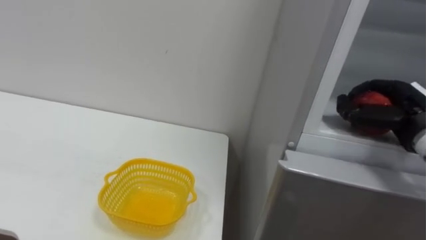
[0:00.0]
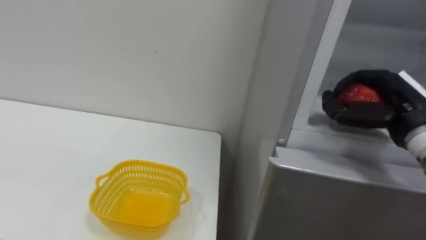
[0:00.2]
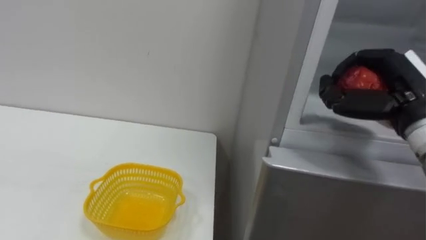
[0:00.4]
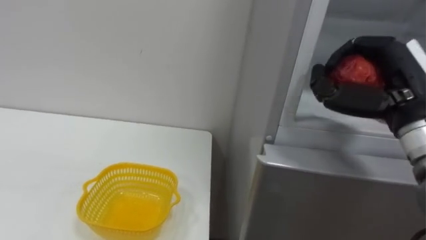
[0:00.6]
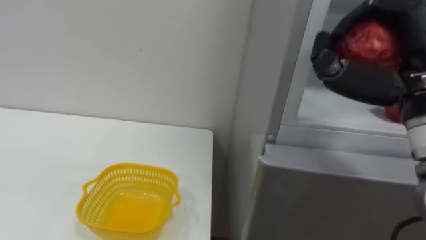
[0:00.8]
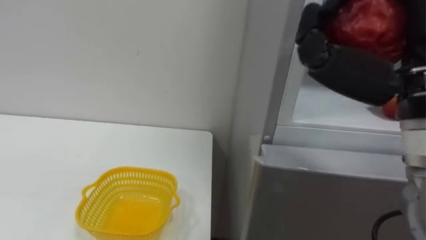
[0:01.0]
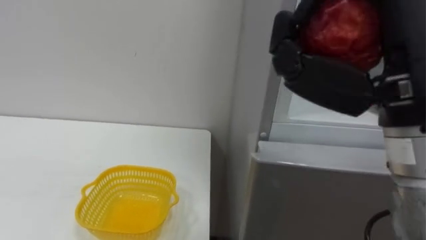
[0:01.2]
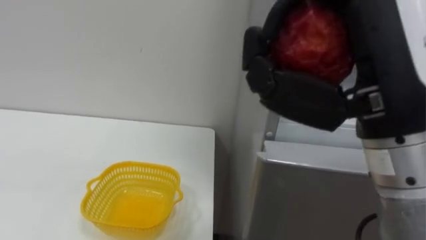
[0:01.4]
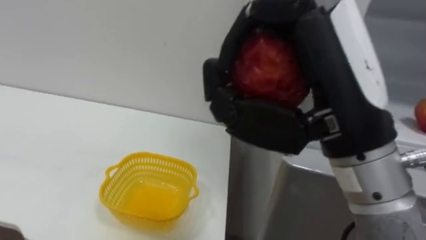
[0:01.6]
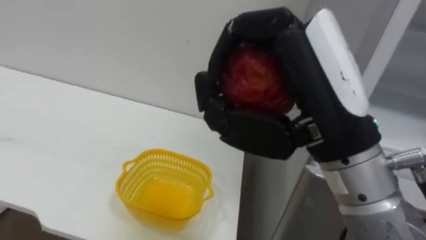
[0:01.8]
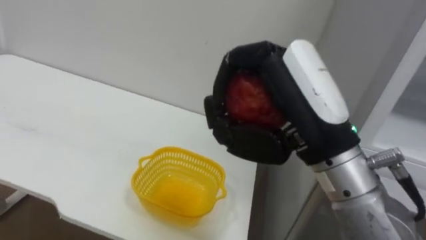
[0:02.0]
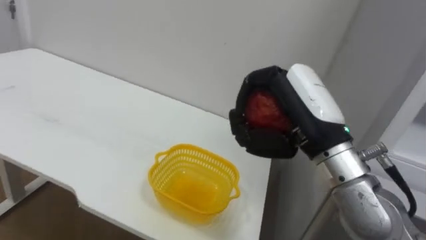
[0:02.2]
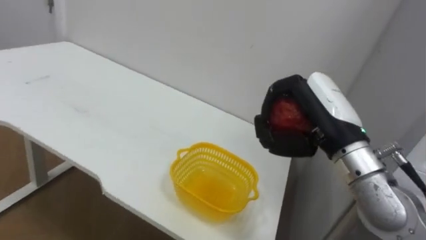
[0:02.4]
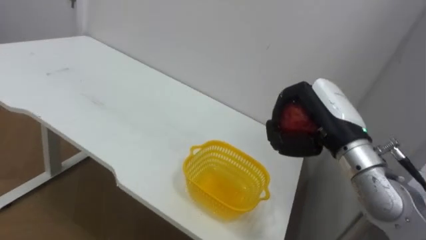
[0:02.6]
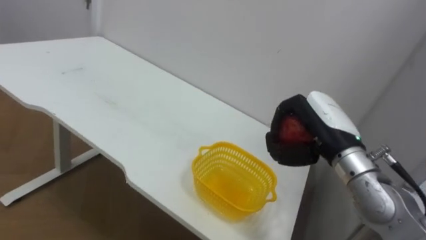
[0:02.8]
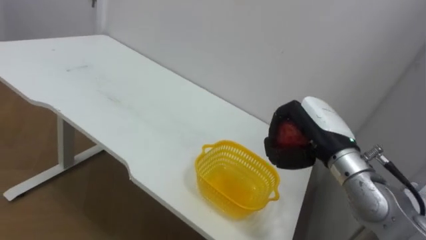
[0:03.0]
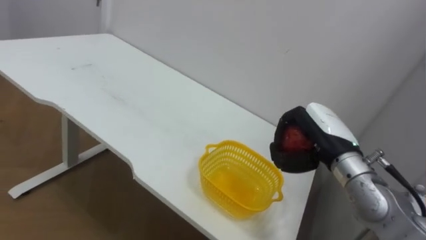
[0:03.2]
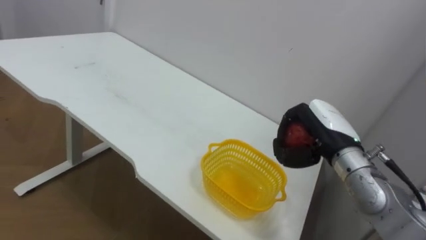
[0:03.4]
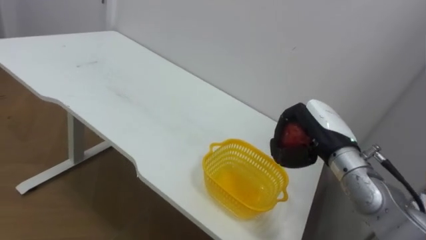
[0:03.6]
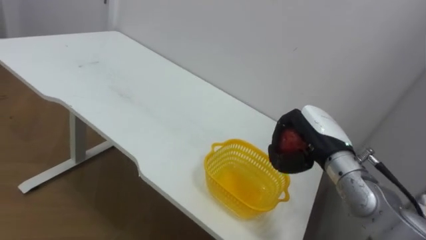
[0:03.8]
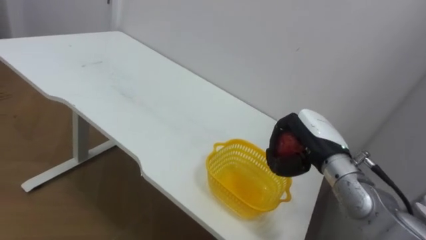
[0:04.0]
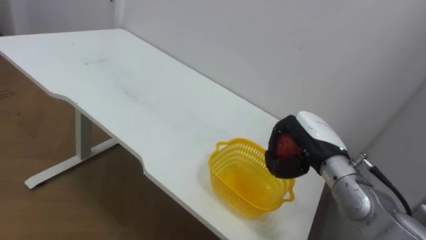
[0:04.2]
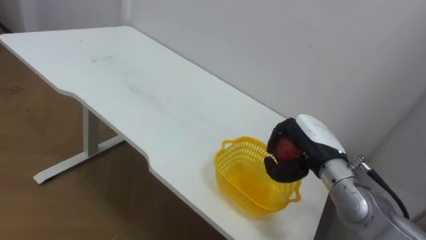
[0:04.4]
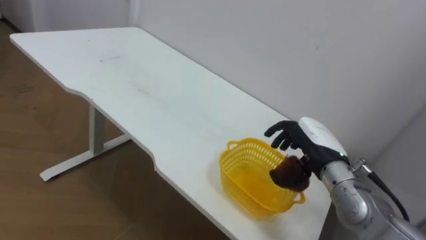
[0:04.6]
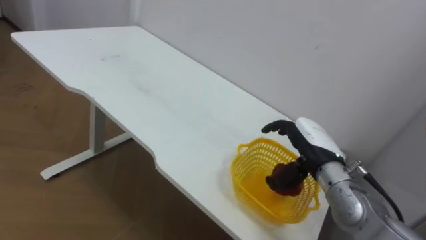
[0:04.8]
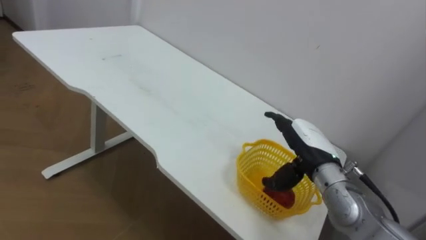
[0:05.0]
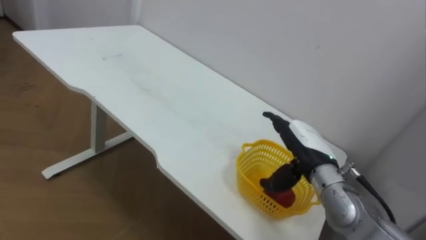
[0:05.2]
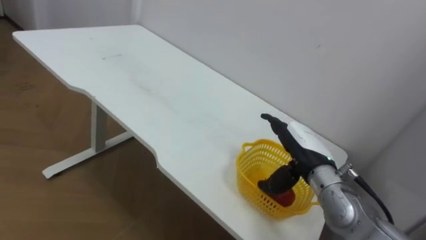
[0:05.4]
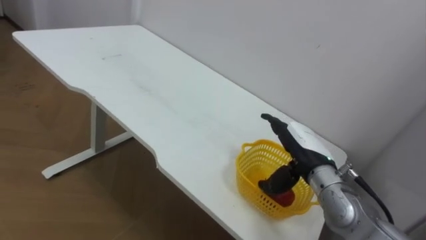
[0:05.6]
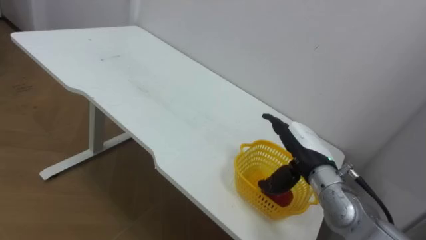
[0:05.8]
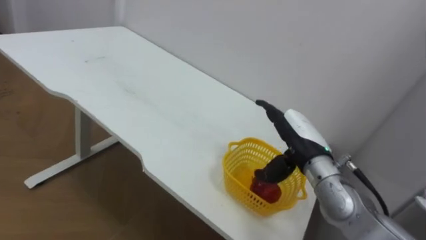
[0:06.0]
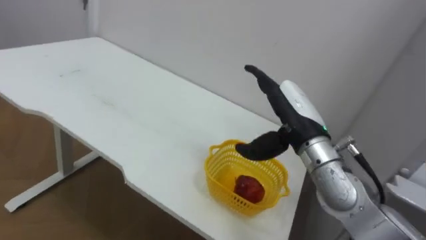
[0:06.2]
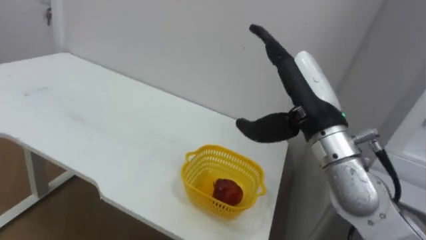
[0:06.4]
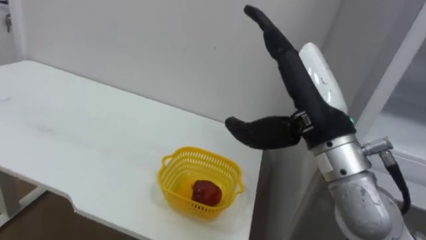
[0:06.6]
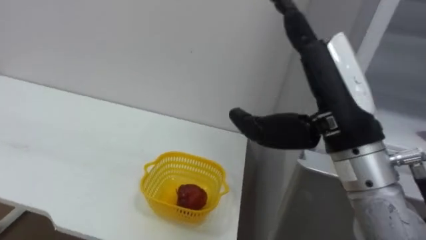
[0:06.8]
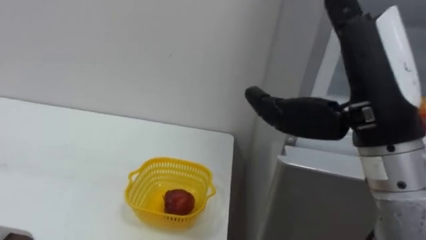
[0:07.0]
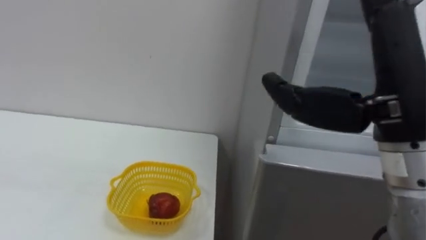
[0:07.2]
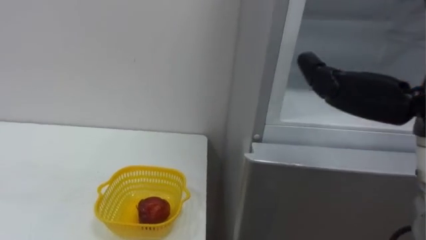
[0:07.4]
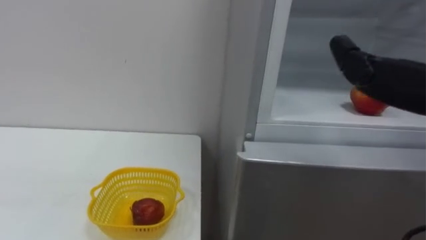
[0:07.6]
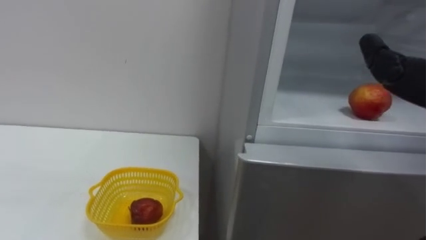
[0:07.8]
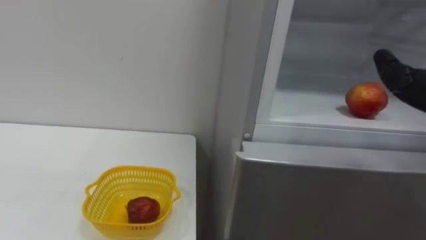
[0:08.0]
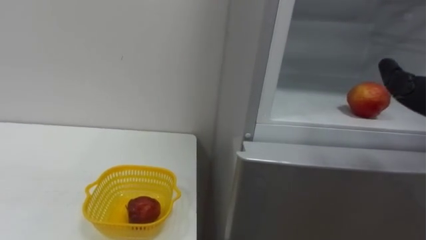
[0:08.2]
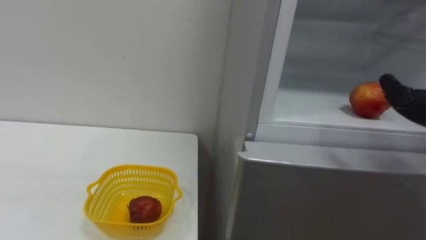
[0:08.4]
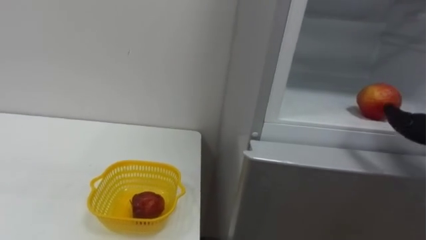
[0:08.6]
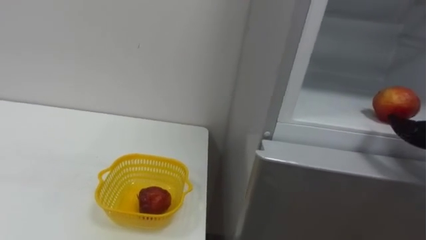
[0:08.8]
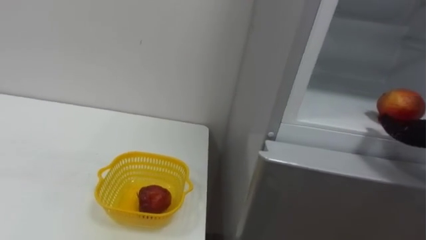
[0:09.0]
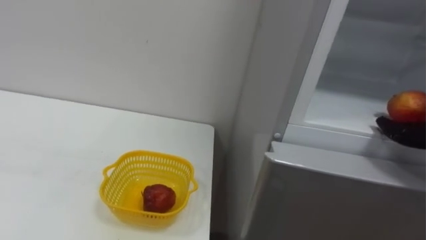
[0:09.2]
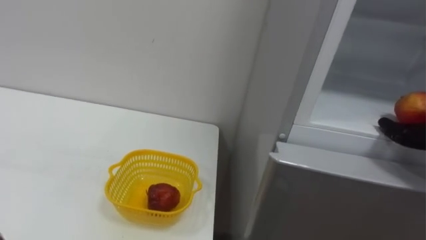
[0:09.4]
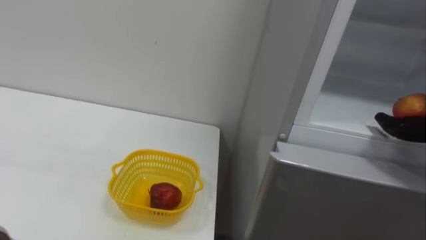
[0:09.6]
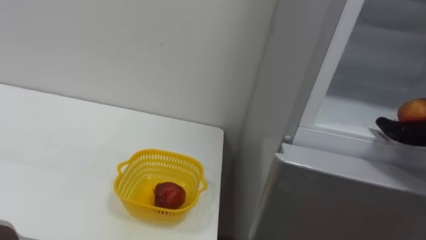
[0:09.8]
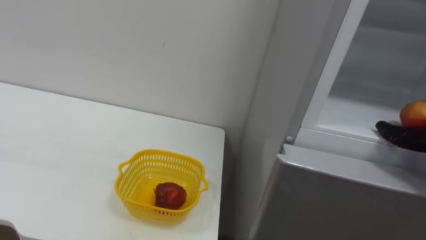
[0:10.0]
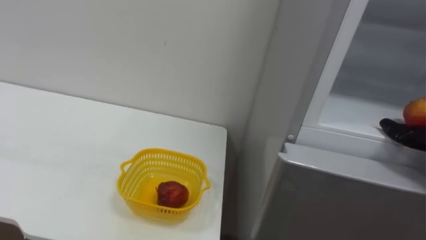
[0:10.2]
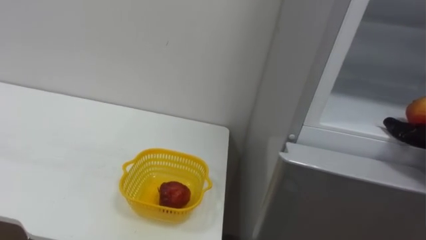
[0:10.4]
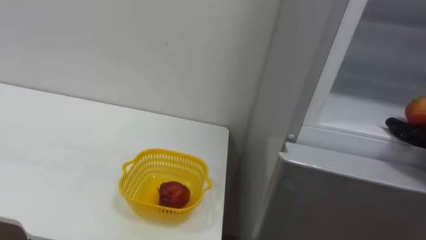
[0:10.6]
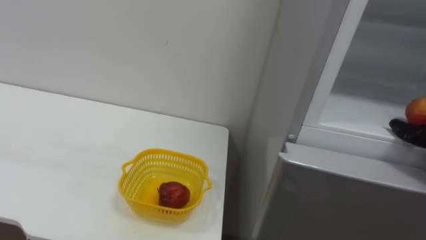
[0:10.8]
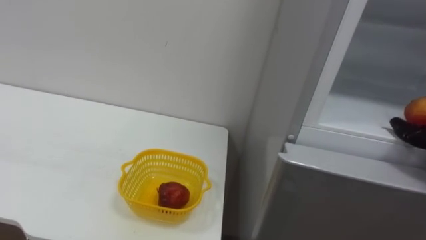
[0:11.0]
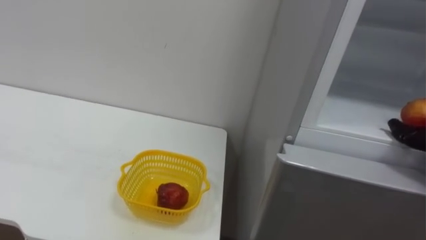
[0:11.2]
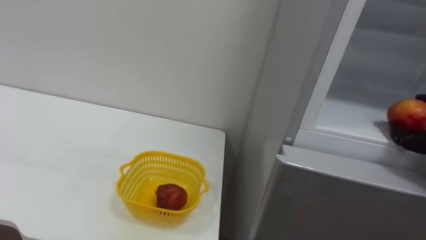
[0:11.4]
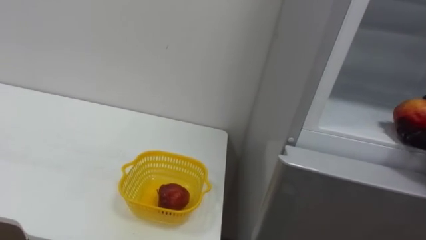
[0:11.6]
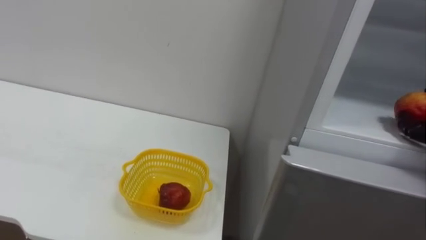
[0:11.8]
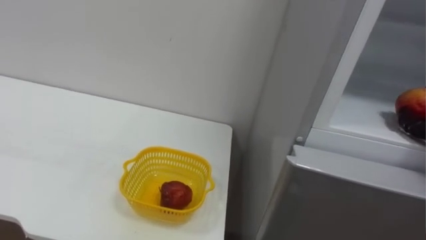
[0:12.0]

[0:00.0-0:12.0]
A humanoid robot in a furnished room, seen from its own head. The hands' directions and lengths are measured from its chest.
Task of the whole recording: Open the refrigerator door, take out the apple and the pomegranate, place them in the fruit basket on the left, and close the refrigerator door.
0:00.0 to 0:01.6: The right hand shifts roughly 30 cm to the left, backward and upward.
0:01.6 to 0:03.0: The right hand heads forward and downward, covering about 20 cm.
0:04.4 to 0:06.0: The right hand opens its fingers.

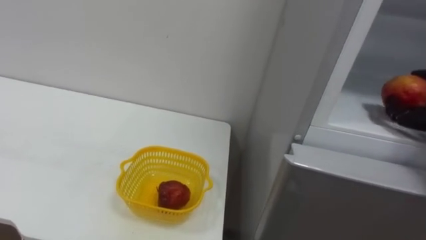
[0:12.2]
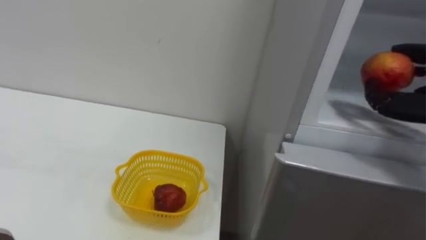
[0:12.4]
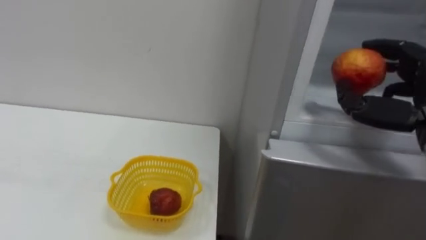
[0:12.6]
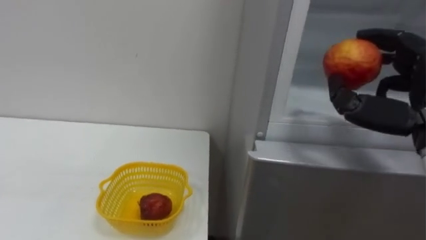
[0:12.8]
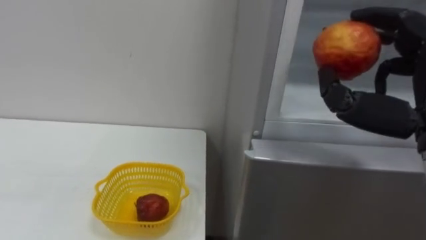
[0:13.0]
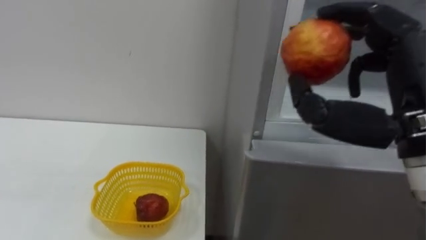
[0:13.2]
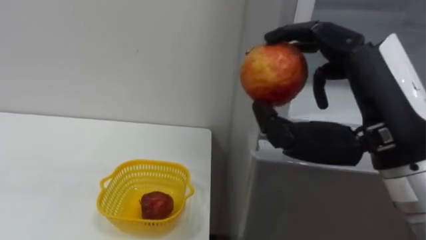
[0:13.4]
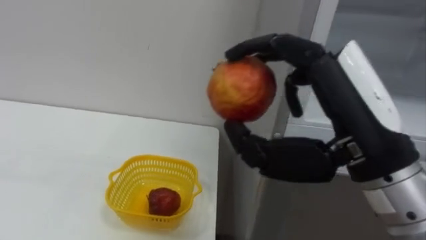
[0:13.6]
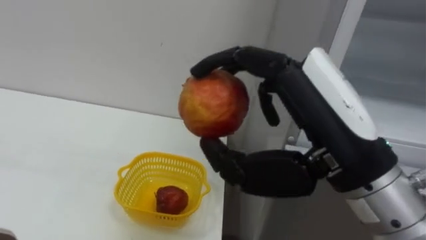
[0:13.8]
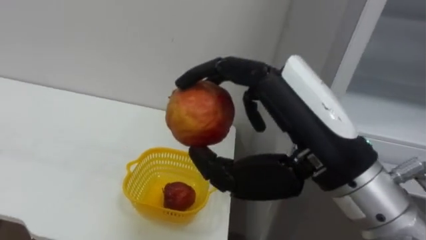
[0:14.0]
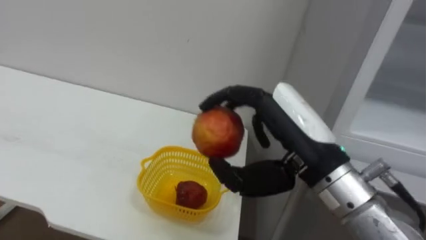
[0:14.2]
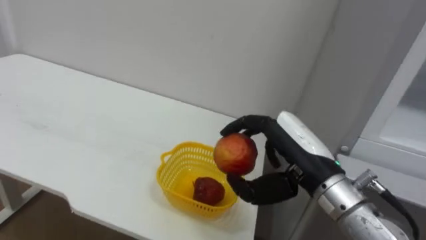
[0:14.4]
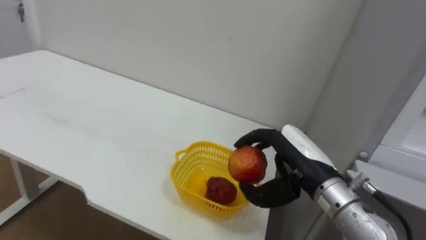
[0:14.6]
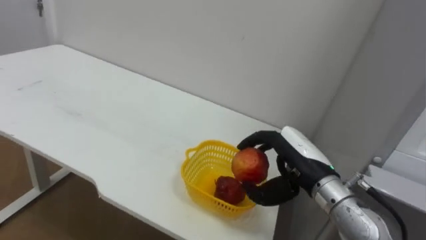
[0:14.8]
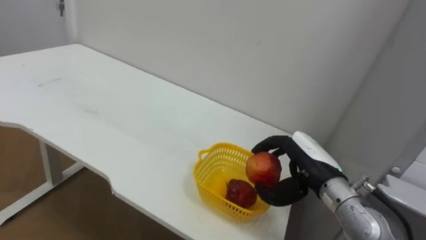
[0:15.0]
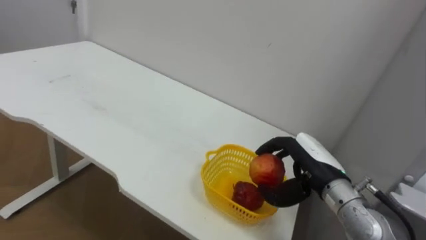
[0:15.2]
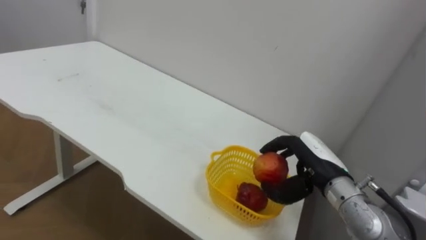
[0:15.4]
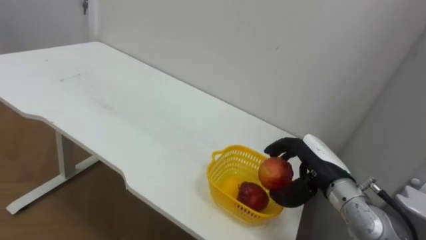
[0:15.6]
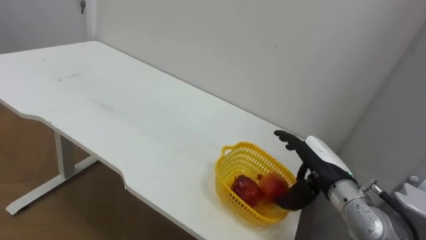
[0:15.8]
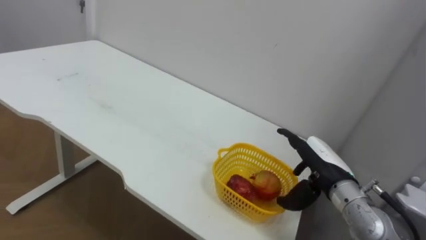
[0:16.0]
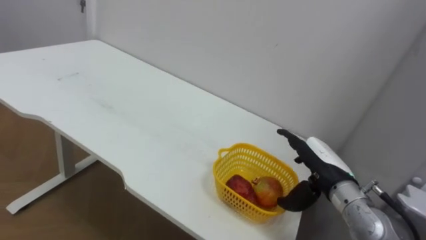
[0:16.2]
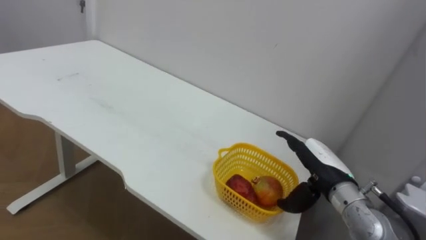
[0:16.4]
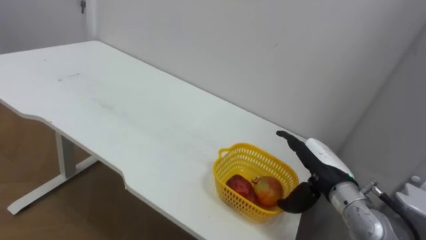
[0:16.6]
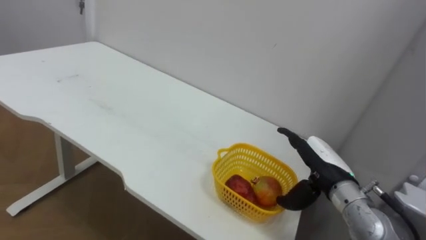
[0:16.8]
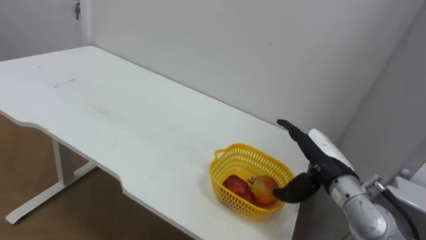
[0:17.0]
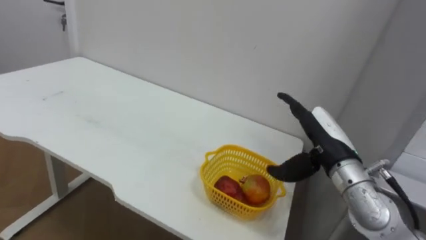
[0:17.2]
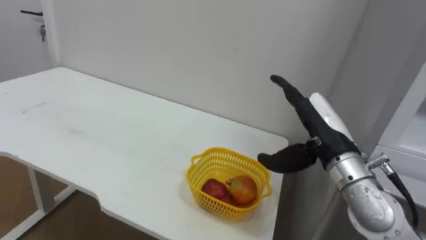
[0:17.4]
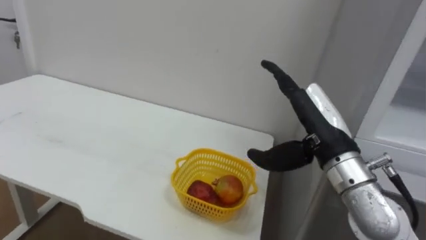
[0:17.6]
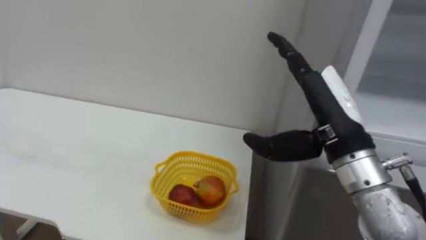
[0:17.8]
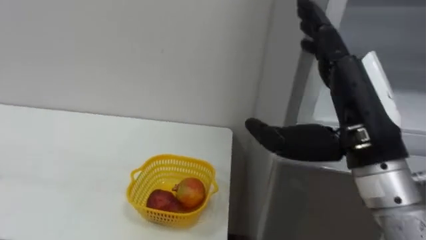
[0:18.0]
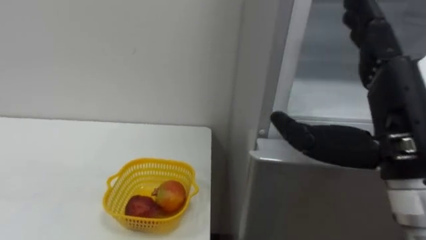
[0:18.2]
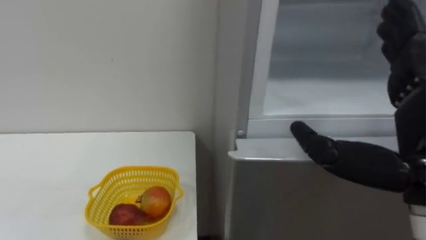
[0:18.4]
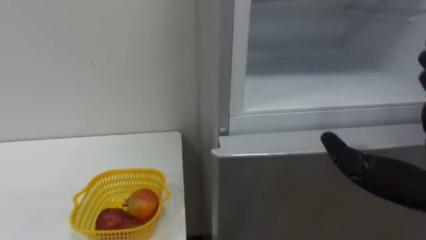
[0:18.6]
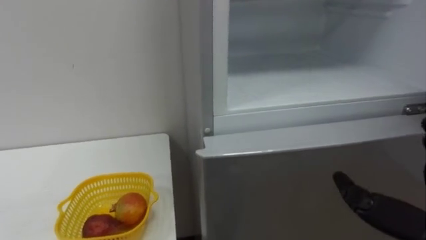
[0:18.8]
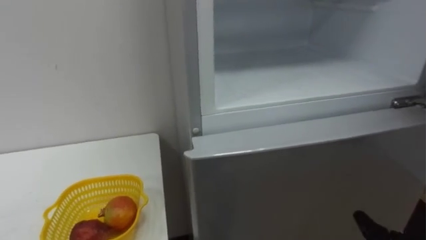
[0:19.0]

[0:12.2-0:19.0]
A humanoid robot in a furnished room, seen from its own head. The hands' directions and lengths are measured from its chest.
Task of the whole recording: Open the refrigerator door, take out the apple and the pomegranate, place them in the fruit basket on the left, and close the refrigerator door.
0:13.6 to 0:15.0: The right hand moves downward and forward, some 25 cm.
0:15.0 to 0:16.2: The right hand opens its fingers.
0:16.2 to 0:17.6: The right hand goes roughly 10 cm upward.
